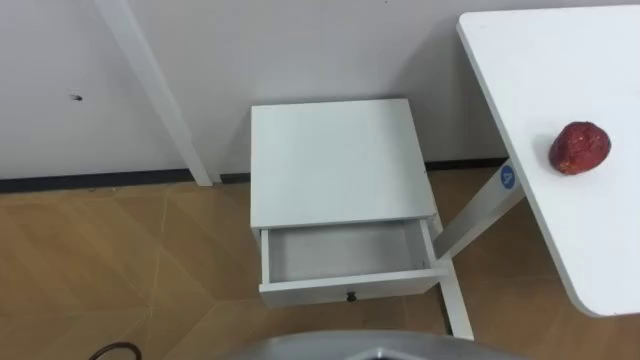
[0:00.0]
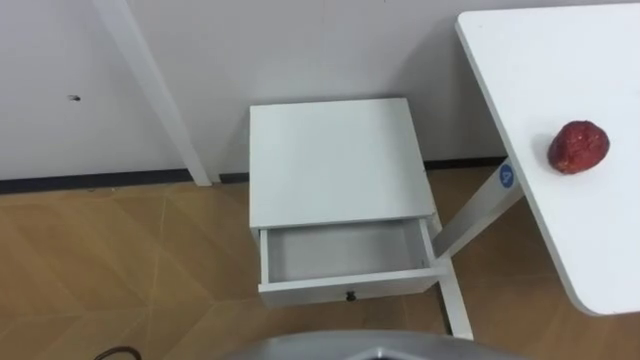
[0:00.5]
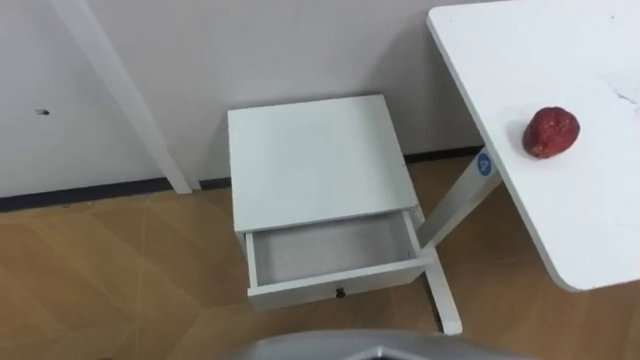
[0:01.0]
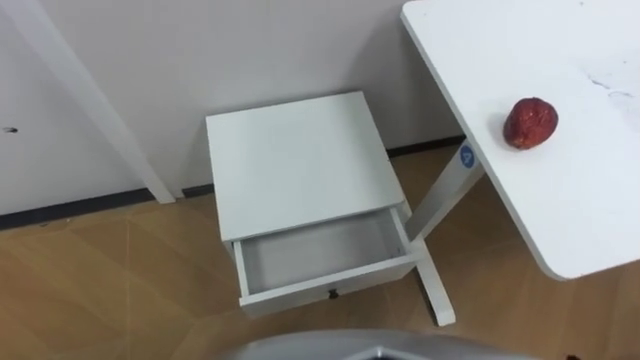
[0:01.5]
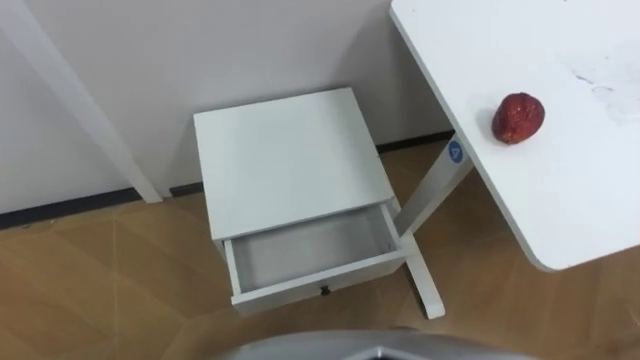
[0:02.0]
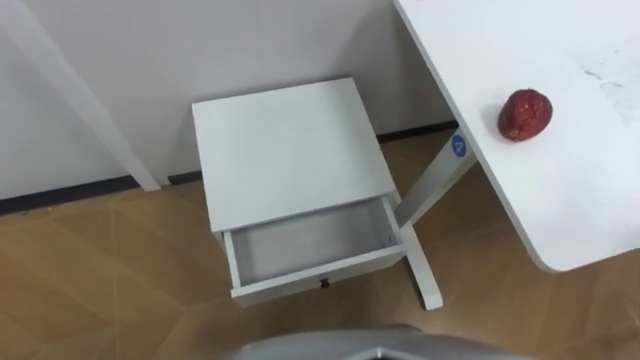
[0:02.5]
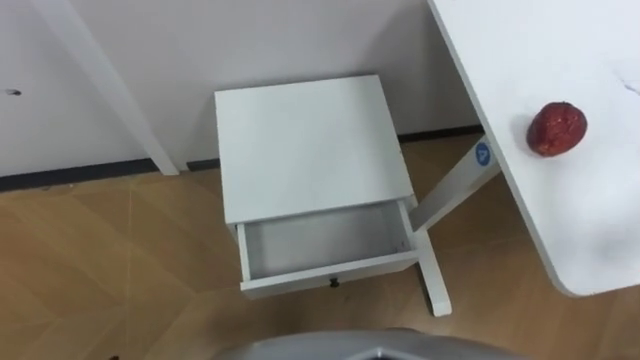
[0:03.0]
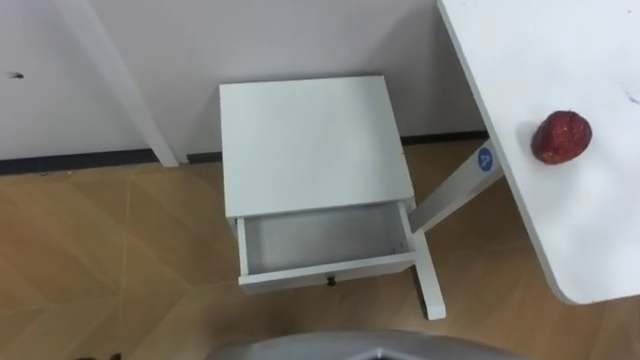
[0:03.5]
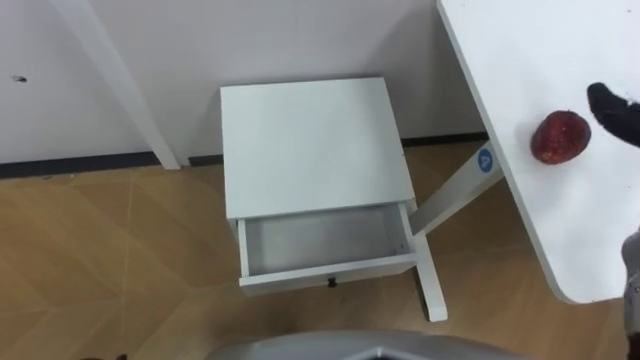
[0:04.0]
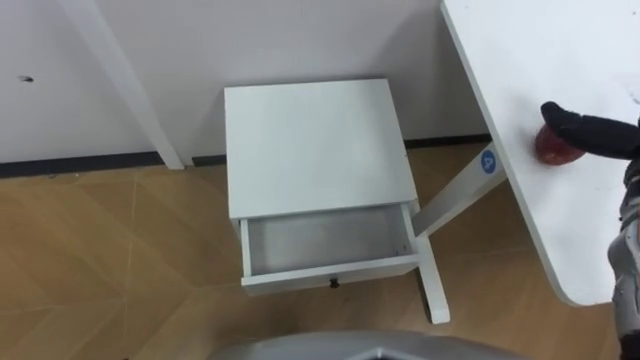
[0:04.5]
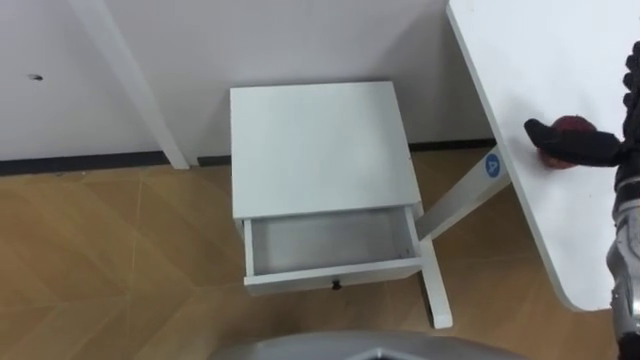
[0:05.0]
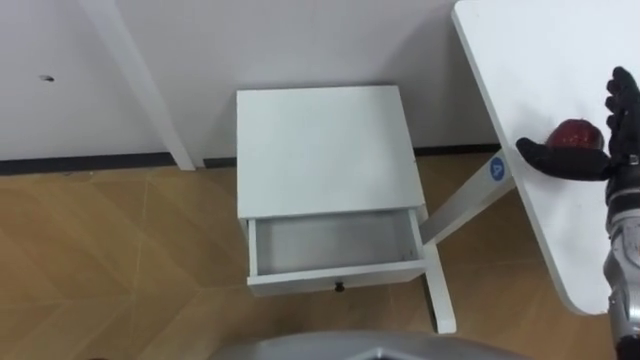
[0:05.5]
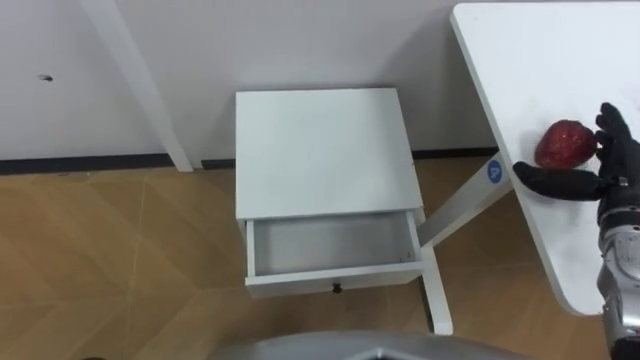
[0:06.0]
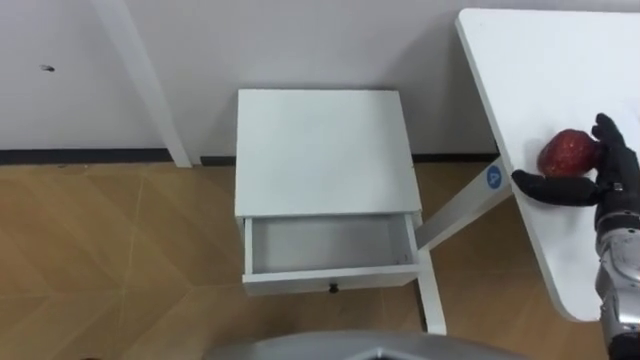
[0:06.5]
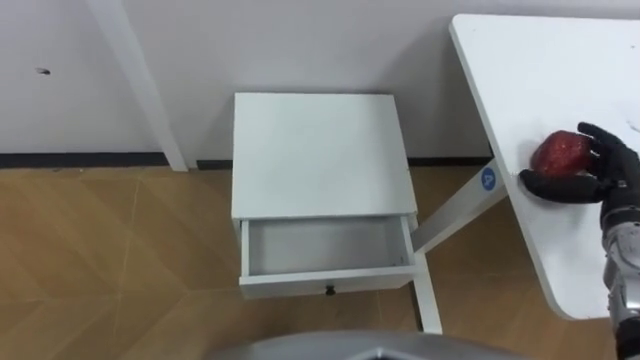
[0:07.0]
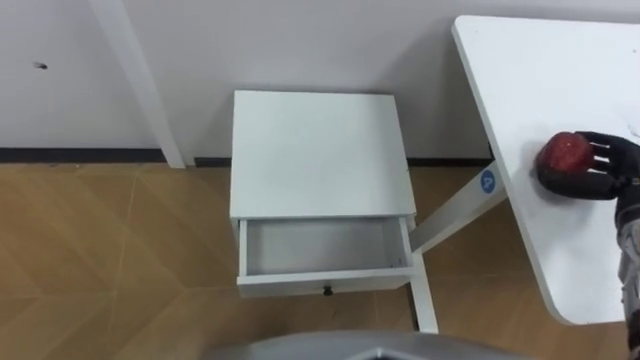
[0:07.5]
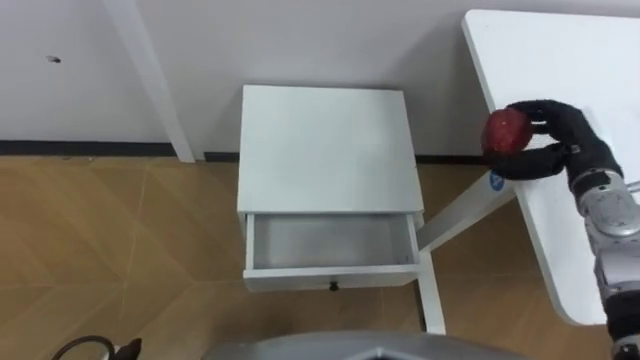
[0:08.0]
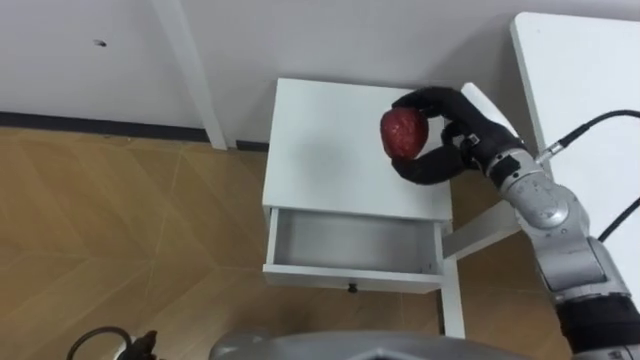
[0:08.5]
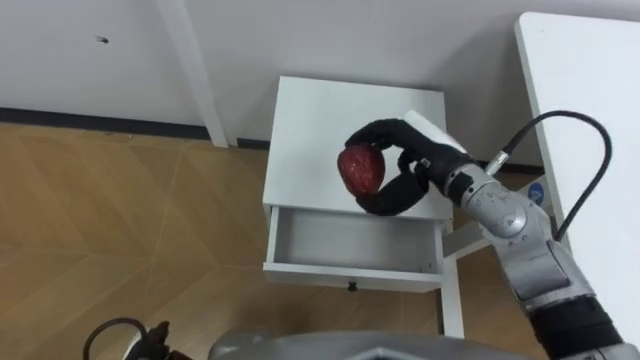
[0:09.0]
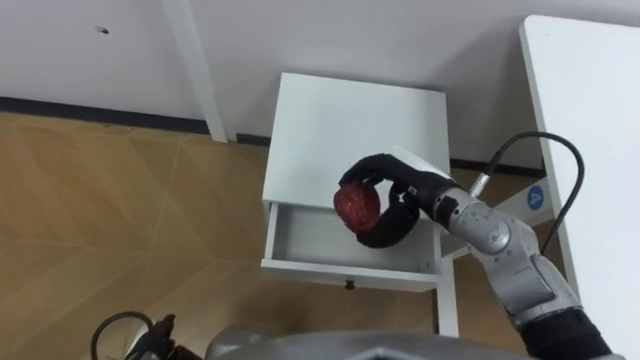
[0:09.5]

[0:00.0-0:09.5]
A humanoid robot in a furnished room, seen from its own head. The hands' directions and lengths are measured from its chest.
Task of the whole recording: Pick up the apple from the table, put it in the drawer, and close the drawer with leg.
0:05.5 to 0:07.5: The right hand is displaced downward by roughly 5 cm, and closes.
0:07.5 to 0:09.5: The right hand goes approximately 30 cm to the left.

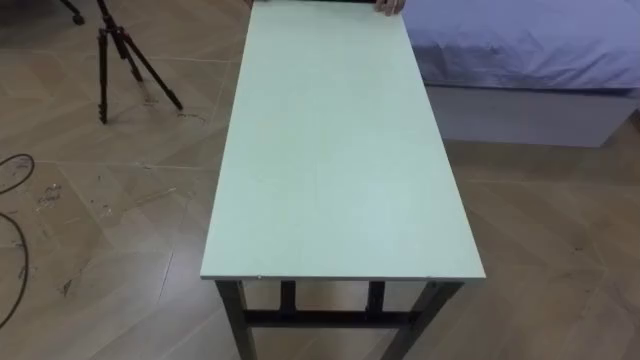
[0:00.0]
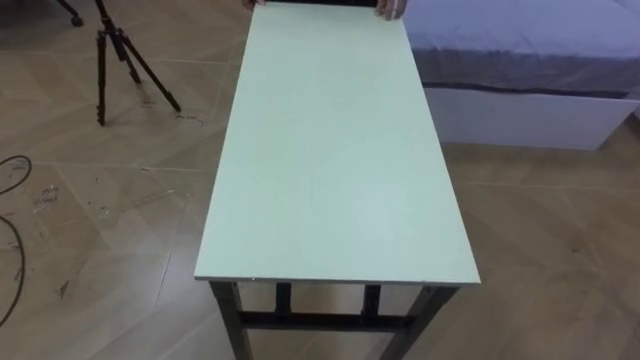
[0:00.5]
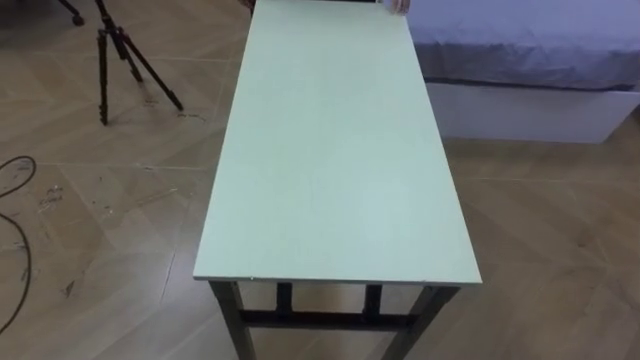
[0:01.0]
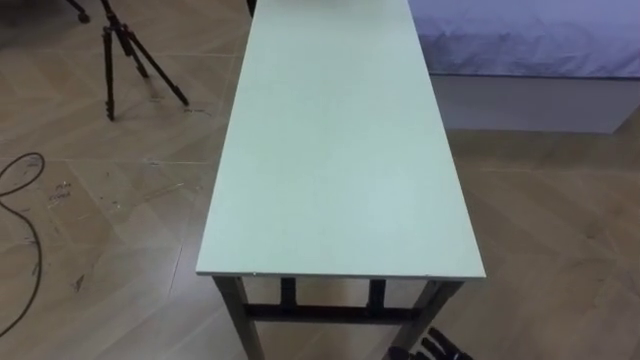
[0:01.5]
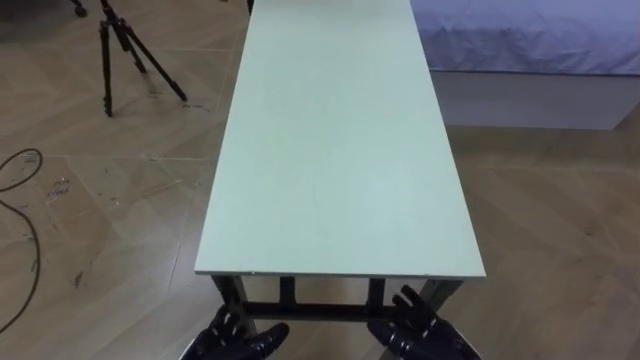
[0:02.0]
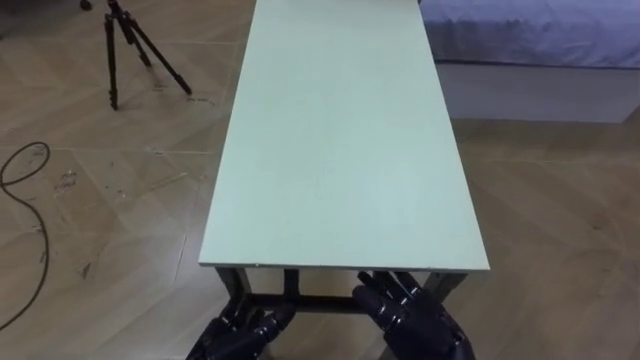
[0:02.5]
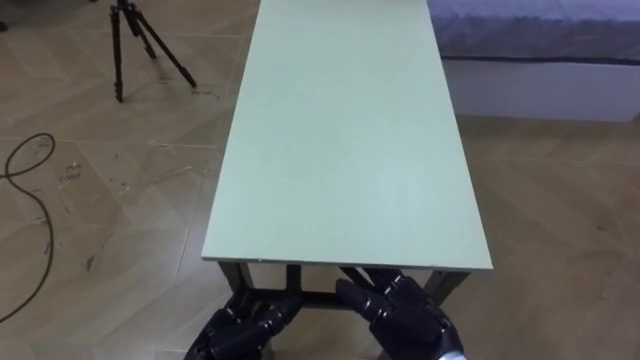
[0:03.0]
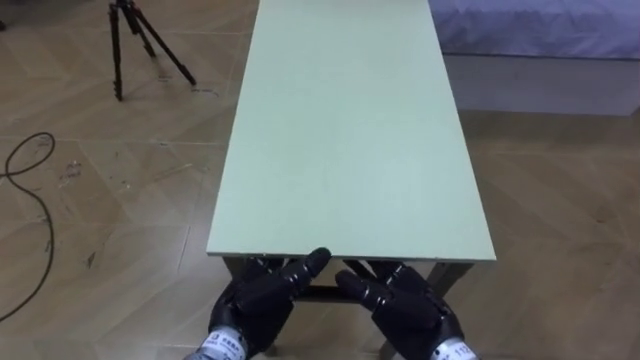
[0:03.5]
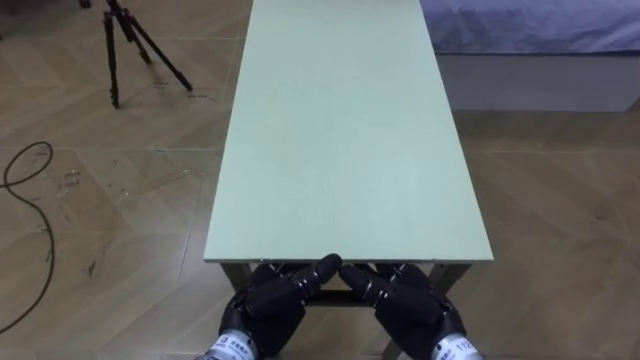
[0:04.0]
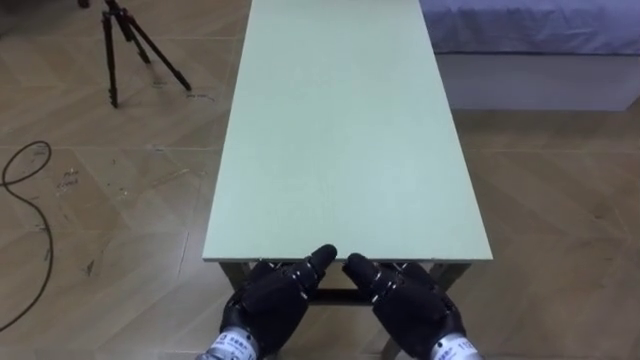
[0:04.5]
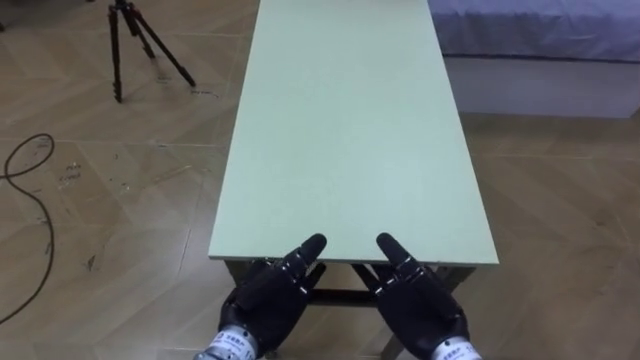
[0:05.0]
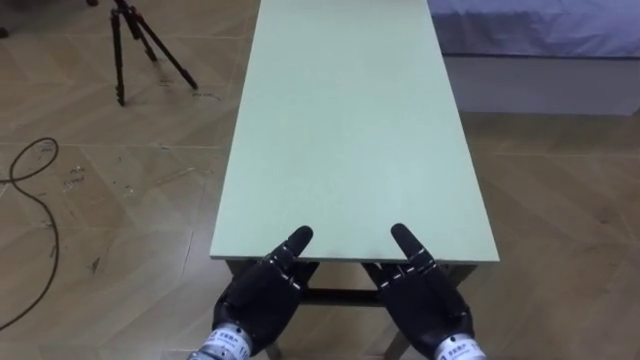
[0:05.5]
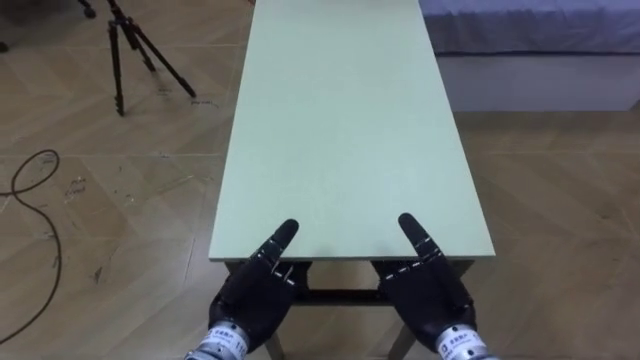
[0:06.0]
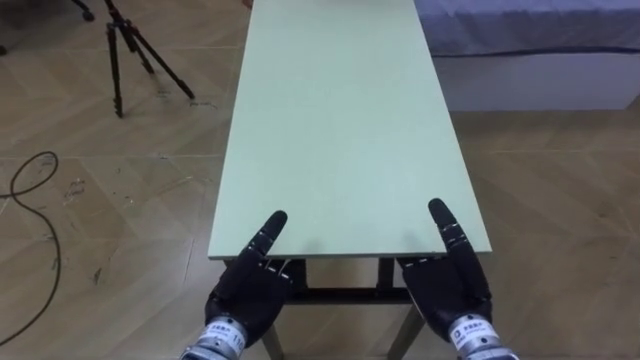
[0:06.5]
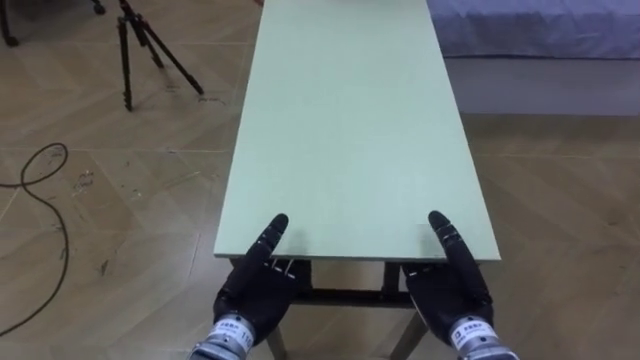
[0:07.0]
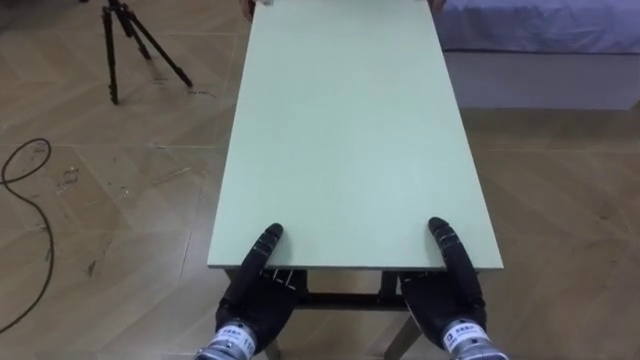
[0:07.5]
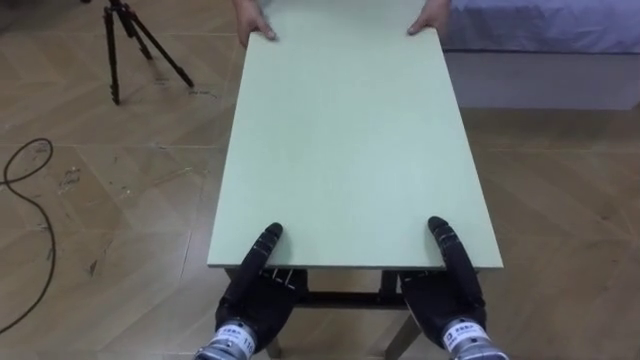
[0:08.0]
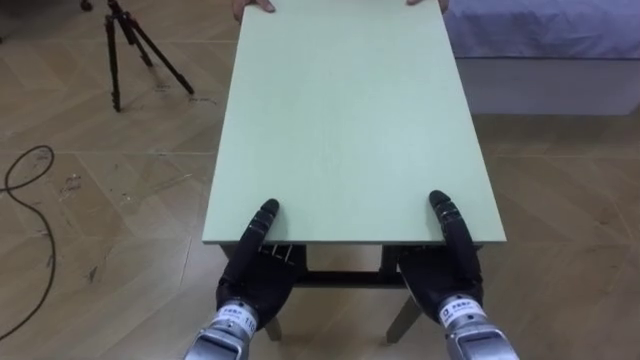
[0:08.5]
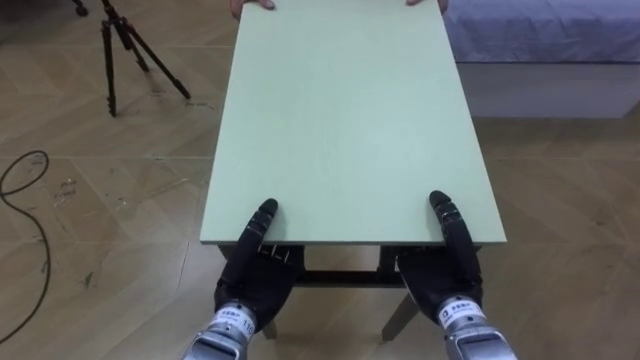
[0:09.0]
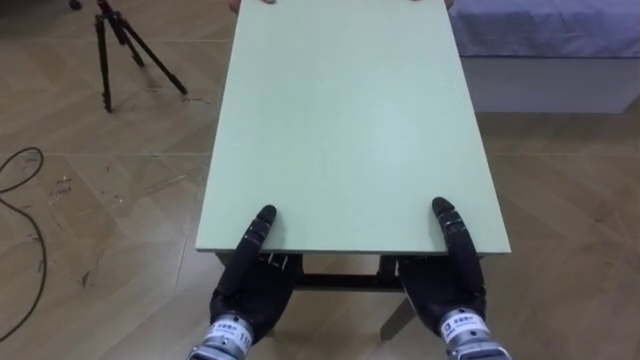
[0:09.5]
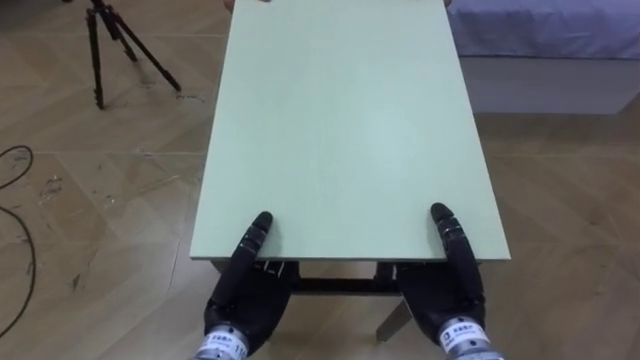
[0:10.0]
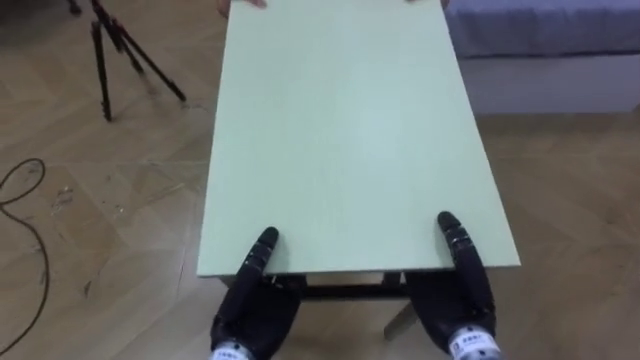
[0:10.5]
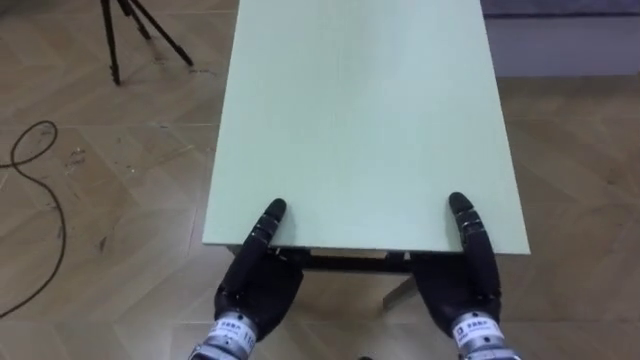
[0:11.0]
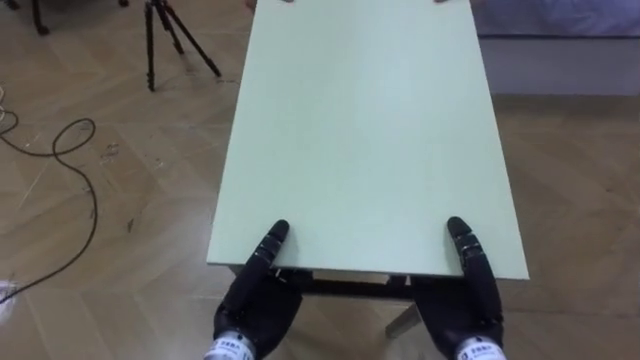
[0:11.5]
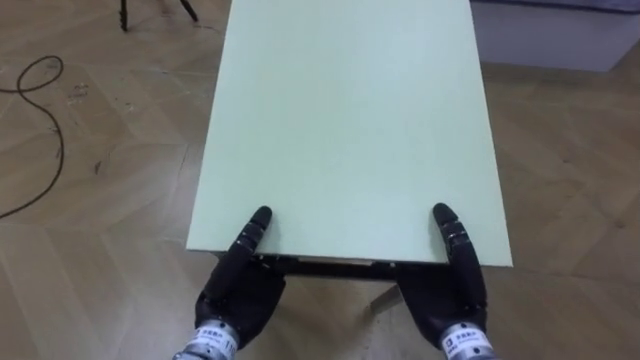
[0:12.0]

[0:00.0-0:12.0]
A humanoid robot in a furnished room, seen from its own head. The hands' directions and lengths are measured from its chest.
Task of the whole recording: Move the table to the back left with someone.
0:02.0 to 0:04.0: The right hand is displaced upward and forward by roughly 10 cm.
0:06.0 to 0:08.0: The left hand closes. Meanwhile the right hand closes up.
